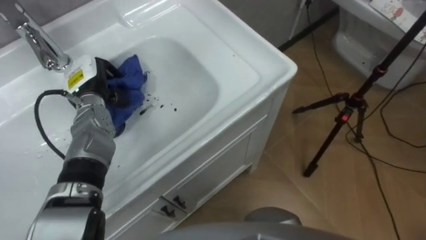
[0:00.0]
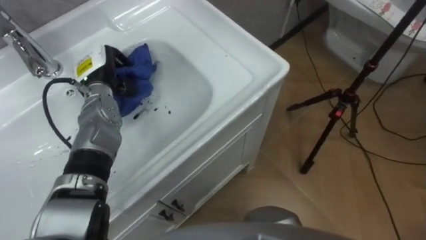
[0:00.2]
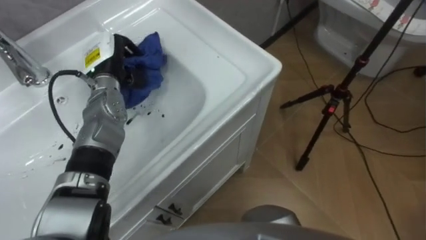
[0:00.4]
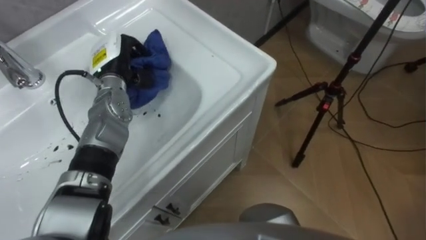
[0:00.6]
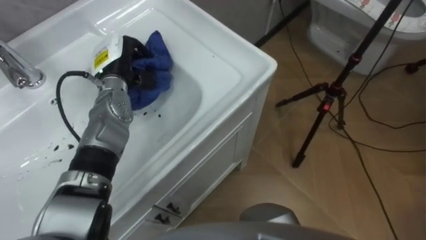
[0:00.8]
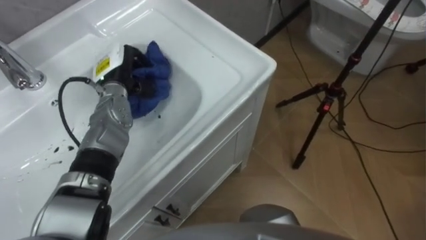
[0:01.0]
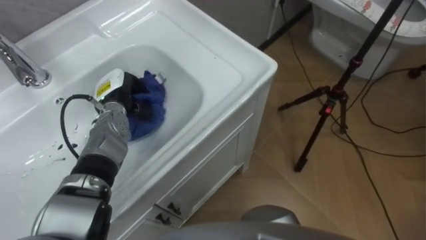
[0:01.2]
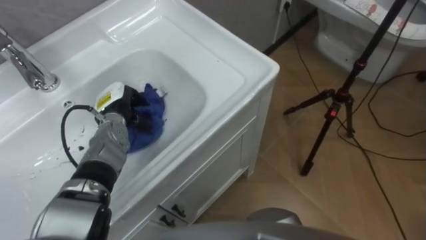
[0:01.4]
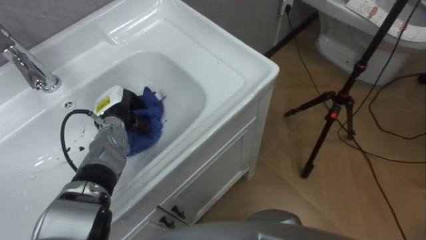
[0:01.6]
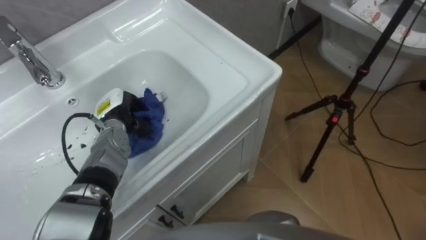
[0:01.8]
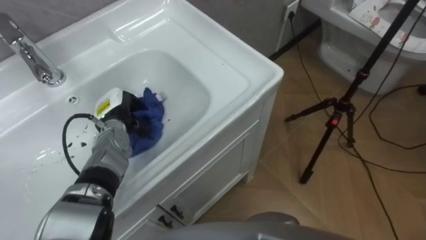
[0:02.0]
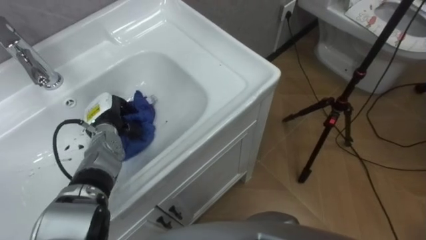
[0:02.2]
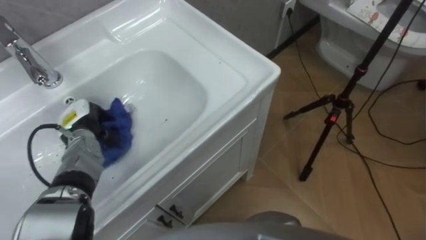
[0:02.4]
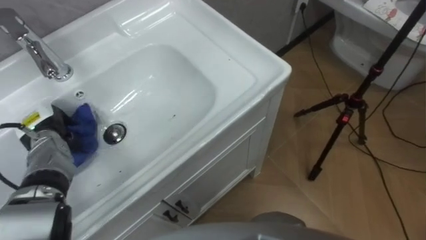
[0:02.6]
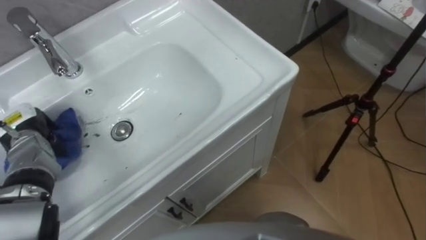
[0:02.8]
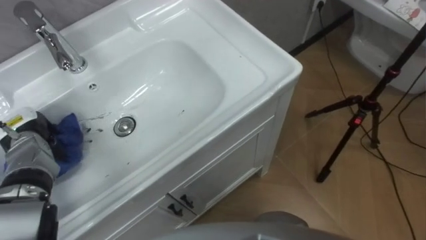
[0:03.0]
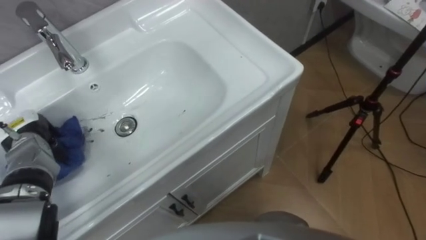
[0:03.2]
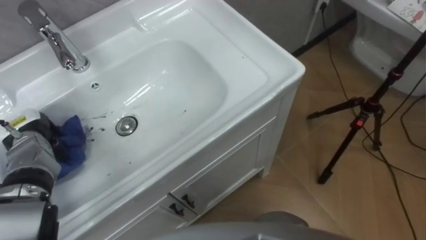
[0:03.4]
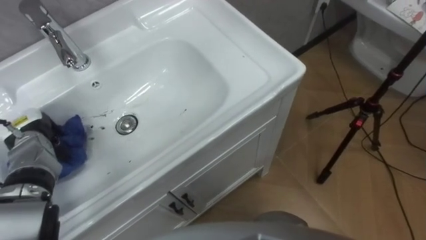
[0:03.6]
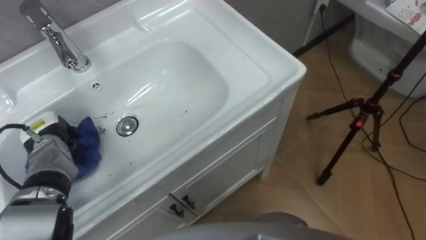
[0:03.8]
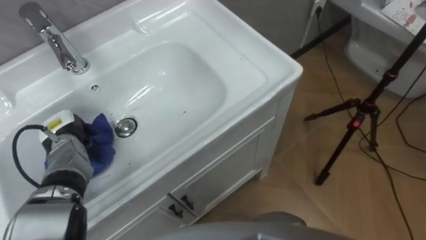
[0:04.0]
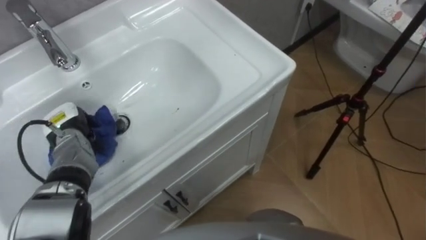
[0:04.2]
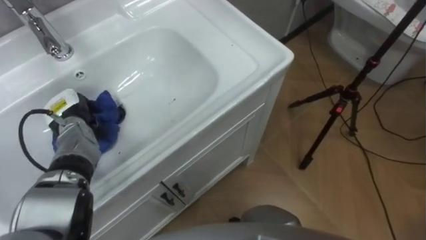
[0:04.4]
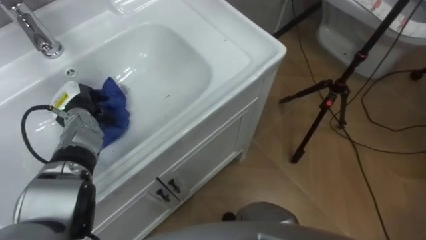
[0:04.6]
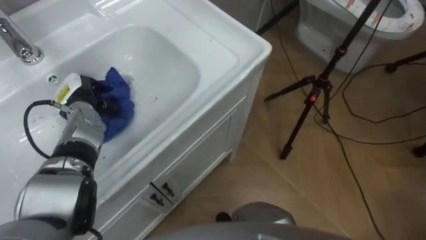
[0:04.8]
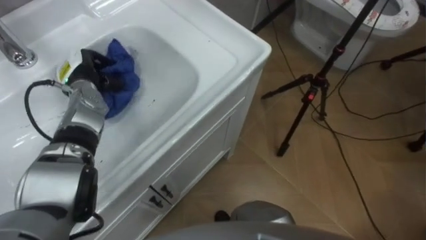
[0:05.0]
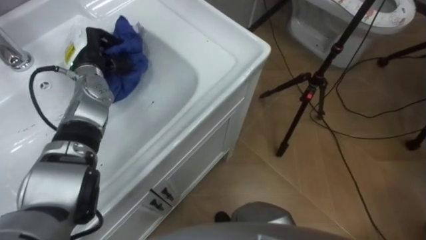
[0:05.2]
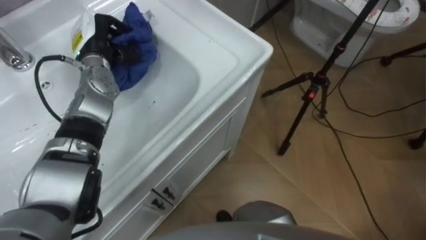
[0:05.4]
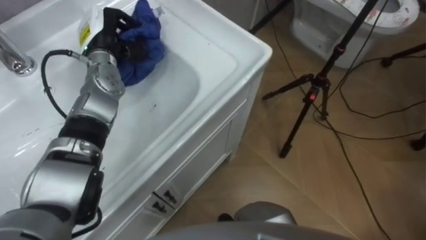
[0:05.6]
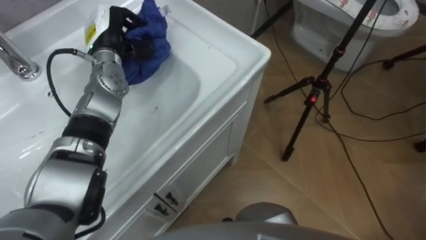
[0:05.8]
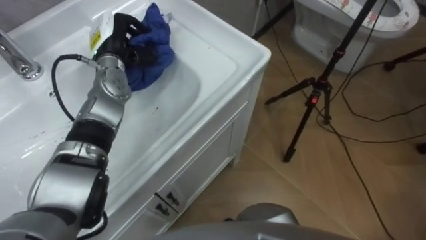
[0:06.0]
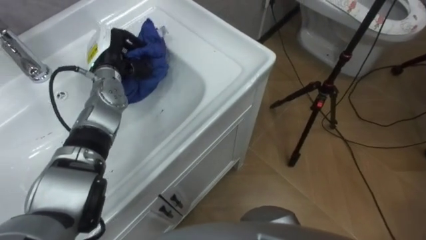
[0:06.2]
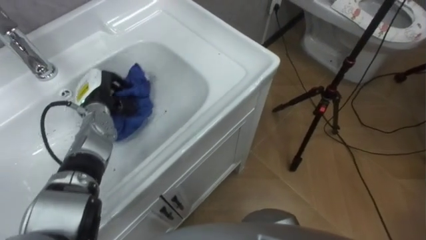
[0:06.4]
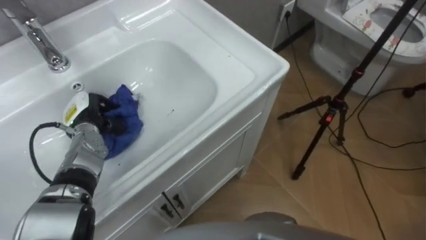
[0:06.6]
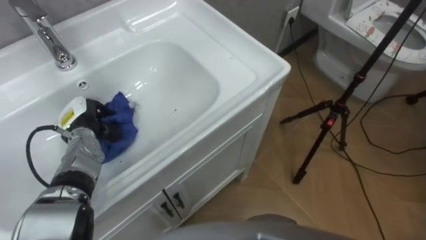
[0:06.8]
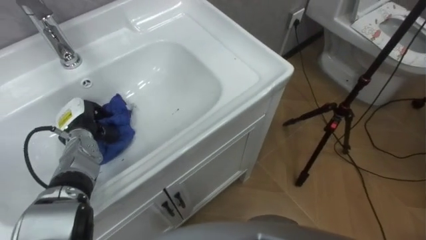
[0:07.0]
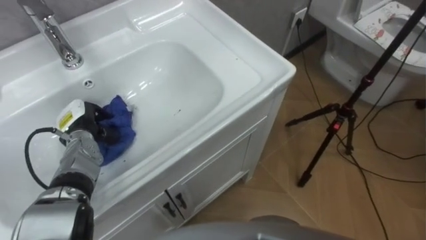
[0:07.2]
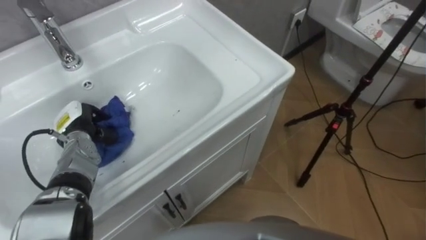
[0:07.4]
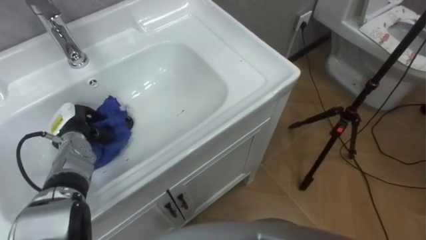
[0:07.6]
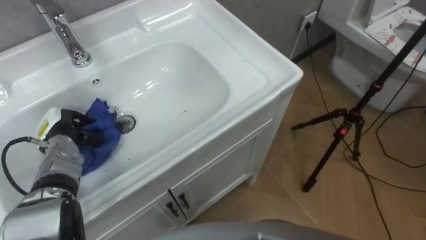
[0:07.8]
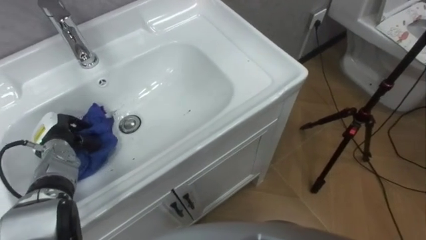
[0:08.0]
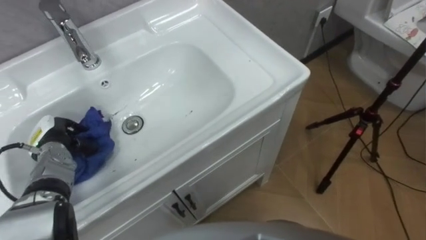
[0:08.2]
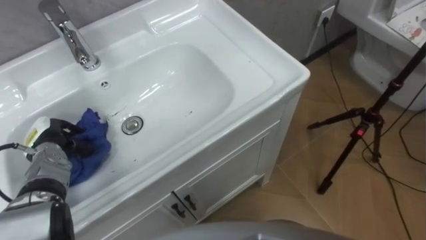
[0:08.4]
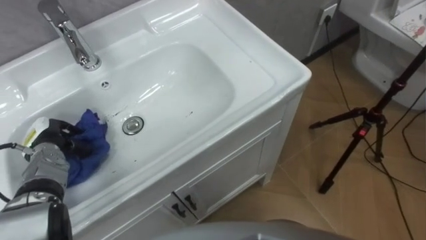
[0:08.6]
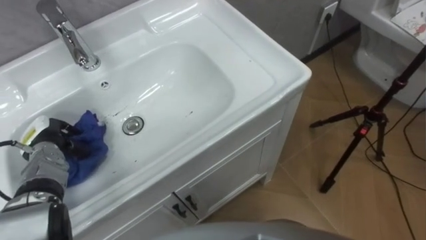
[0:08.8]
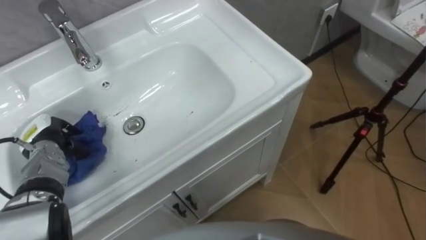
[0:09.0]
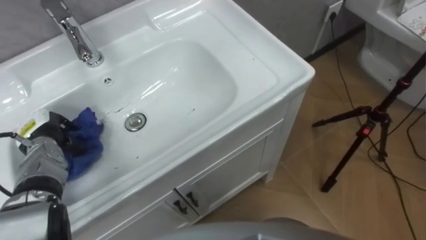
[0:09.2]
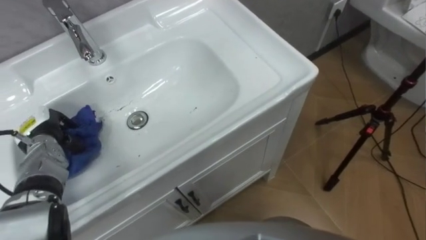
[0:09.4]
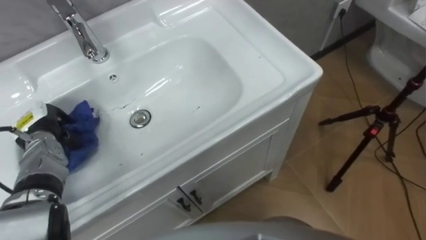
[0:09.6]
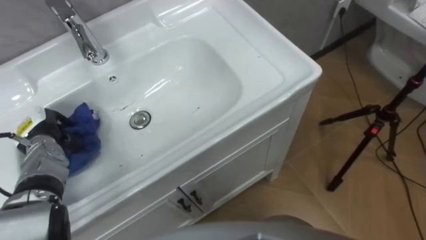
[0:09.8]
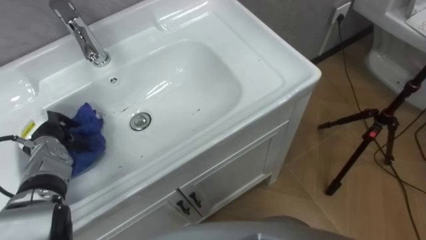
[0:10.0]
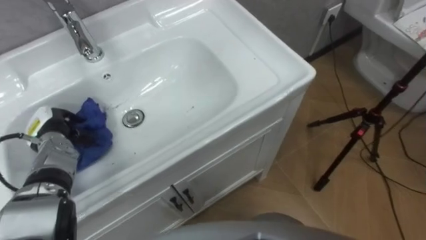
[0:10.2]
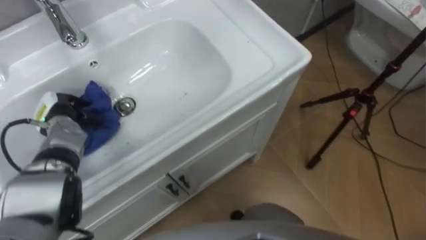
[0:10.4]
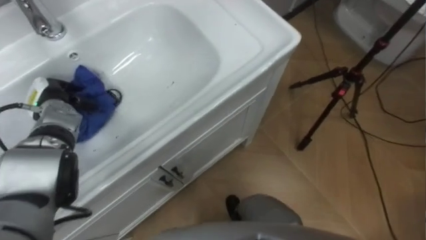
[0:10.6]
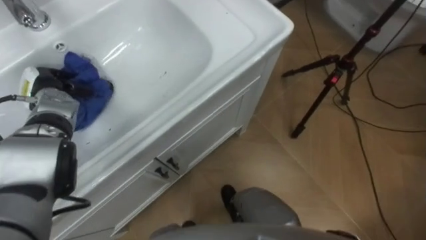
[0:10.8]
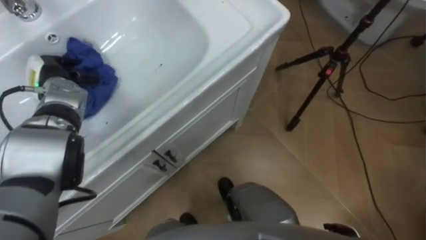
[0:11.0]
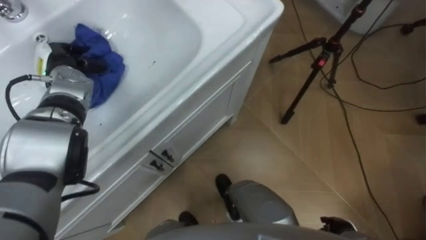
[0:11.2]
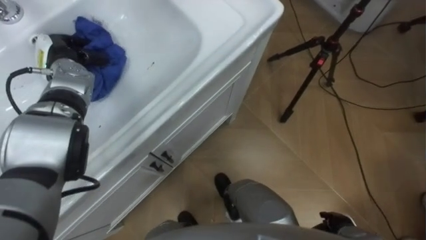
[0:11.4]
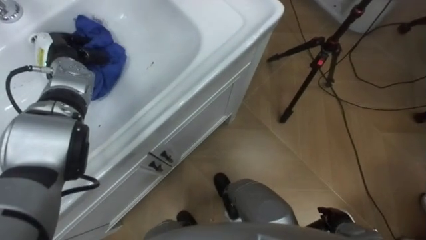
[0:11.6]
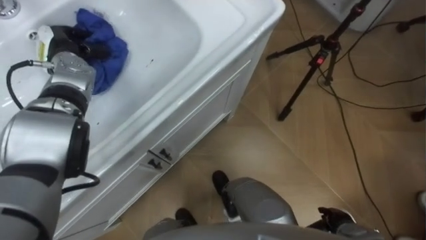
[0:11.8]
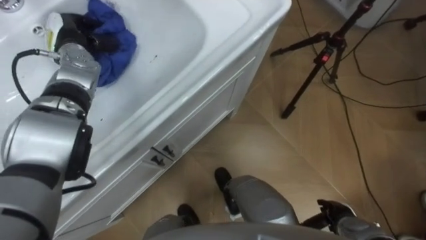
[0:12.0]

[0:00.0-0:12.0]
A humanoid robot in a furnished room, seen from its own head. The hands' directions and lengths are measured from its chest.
Task of the whole recording: Use the cloth on the right to wipe away the black stain in the sink.
0:00.0 to 0:01.6: The left hand goes approximately 5 cm downward.
0:01.6 to 0:03.0: The left hand shifts approximately 15 cm to the left.
0:03.0 to 0:04.4: The left hand moves to the right, about 10 cm.
0:04.4 to 0:06.0: The left hand shifts about 20 cm upward, to the right and forward.
0:06.0 to 0:07.6: The left hand heads backward, downward and to the left, covering roughly 20 cm.
0:07.6 to 0:09.0: The left hand changes place by approximately 5 cm.
0:09.0 to 0:10.4: The left hand moves forward, some 5 cm.
0:10.4 to 0:12.0: The left hand moves forward, upward and to the right, some 15 cm.

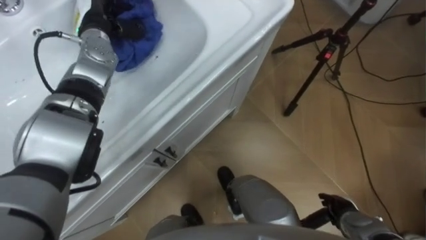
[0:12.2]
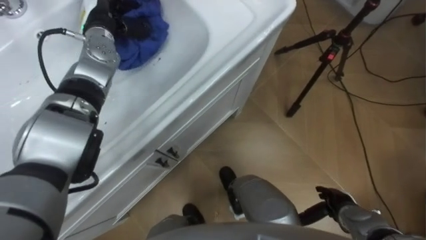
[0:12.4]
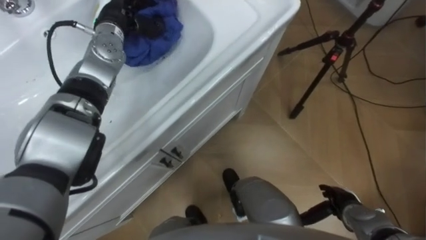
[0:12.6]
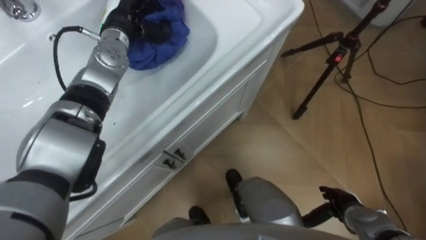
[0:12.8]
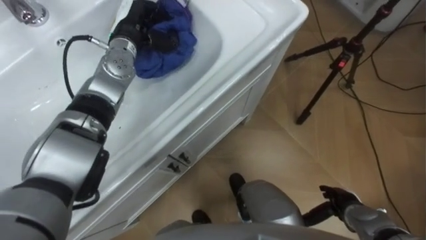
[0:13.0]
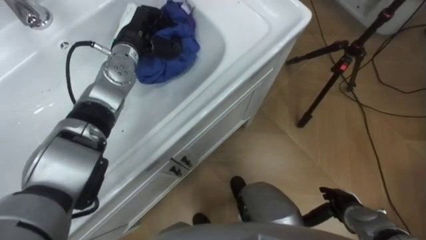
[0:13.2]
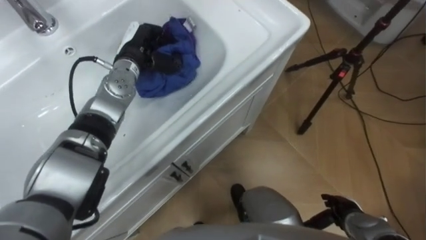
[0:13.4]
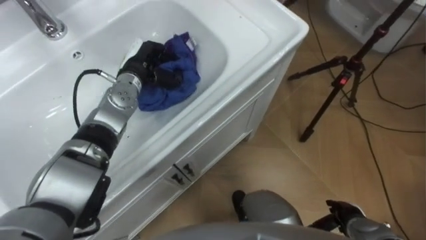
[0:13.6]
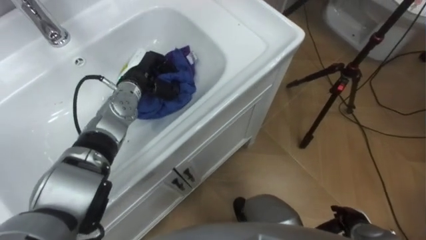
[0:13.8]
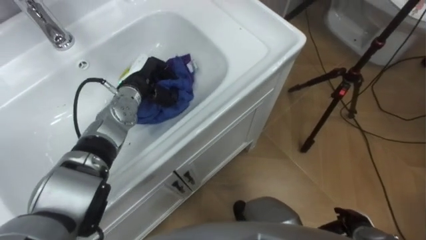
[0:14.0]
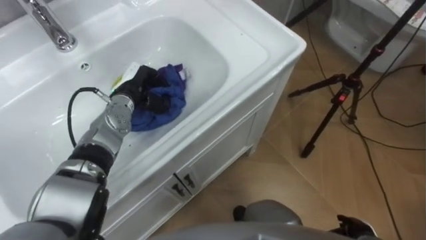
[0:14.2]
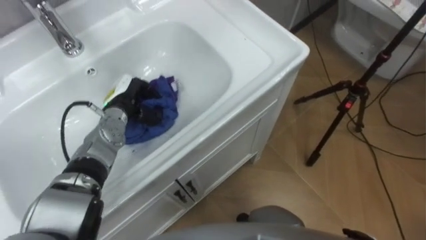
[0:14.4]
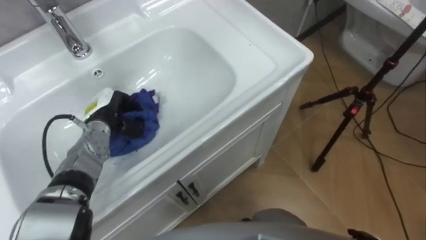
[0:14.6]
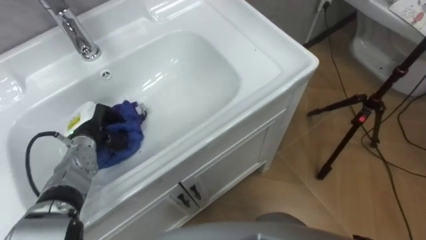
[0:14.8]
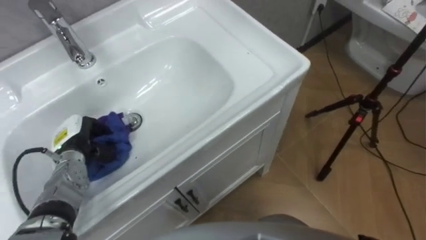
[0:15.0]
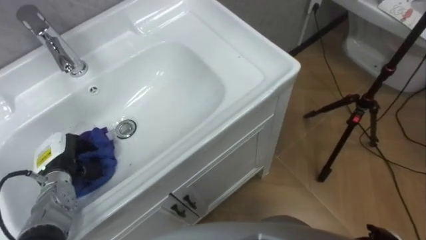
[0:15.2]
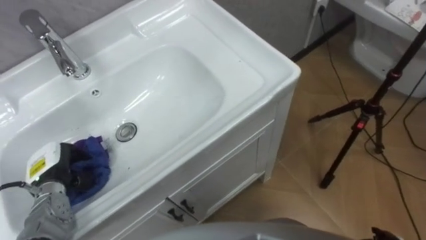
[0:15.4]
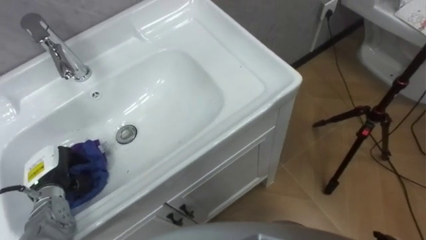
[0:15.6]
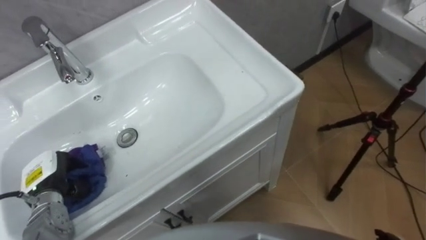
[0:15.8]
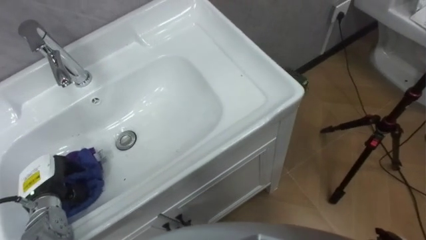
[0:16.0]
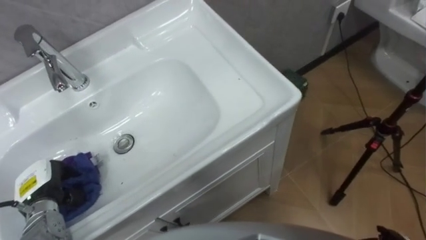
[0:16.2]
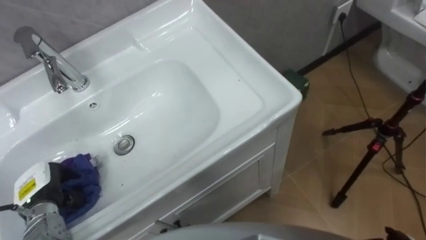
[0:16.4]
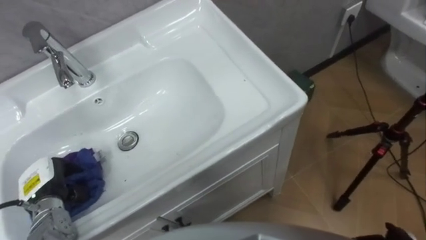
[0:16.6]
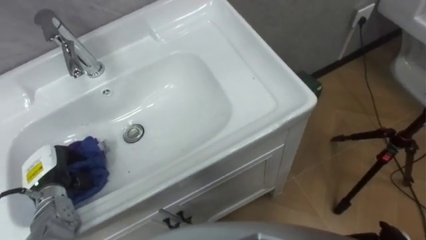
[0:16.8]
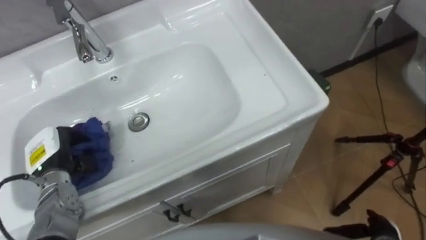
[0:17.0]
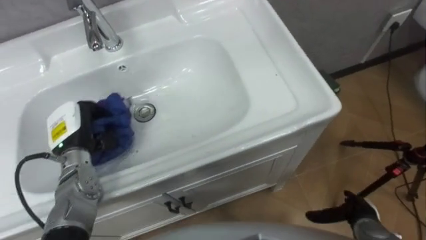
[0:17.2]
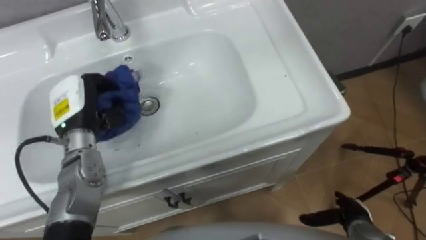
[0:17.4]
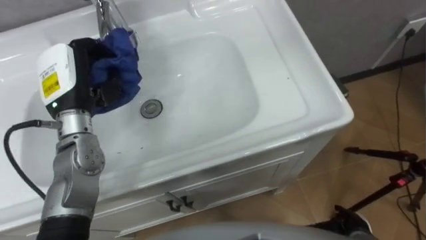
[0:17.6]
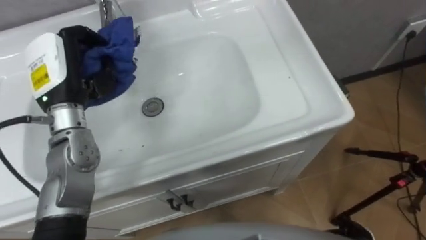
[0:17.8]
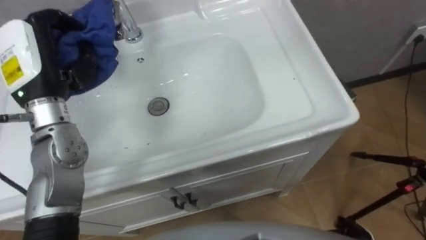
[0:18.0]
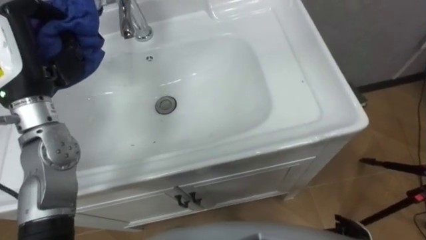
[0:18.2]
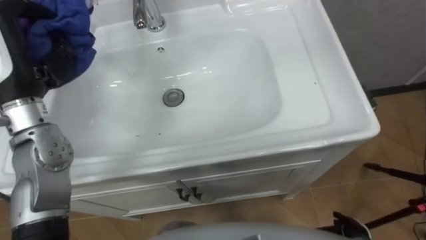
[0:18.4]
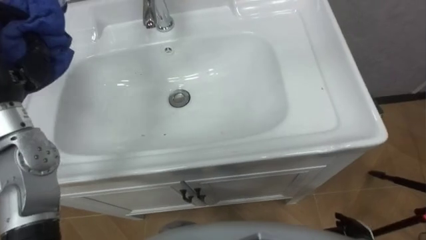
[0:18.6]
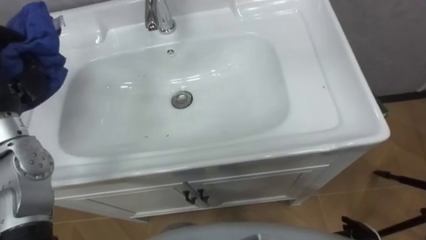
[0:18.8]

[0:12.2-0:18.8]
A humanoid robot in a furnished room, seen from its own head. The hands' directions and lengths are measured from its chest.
Task of the whole recording: Use the cloth on the right to wipe away the black stain in the sink.
0:12.2 to 0:13.8: The left hand goes roughly 15 cm downward, backward and to the right.
0:13.8 to 0:15.4: The left hand heads backward and to the left, covering some 25 cm.
0:15.4 to 0:17.2: The left hand shifts approximately 10 cm forward, upward and to the right.
